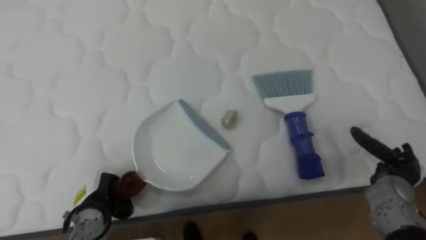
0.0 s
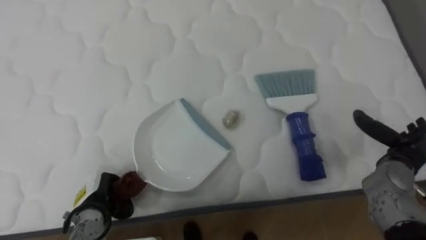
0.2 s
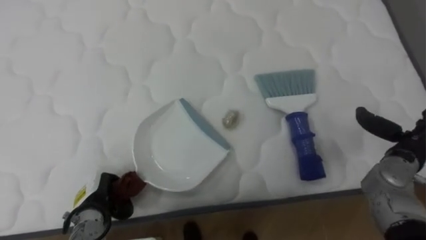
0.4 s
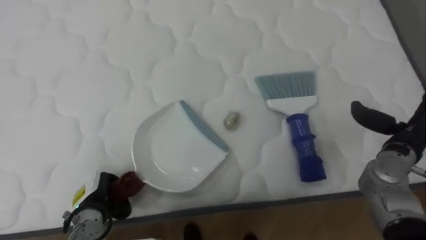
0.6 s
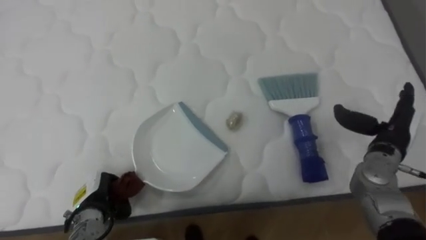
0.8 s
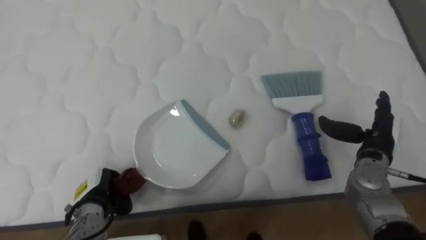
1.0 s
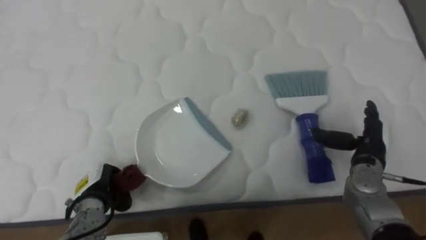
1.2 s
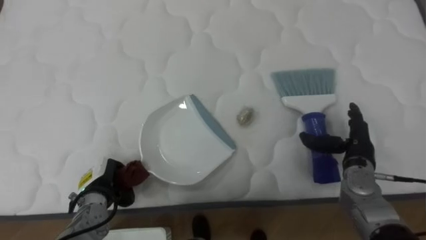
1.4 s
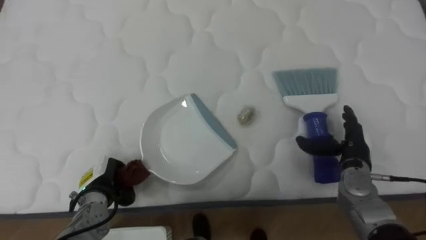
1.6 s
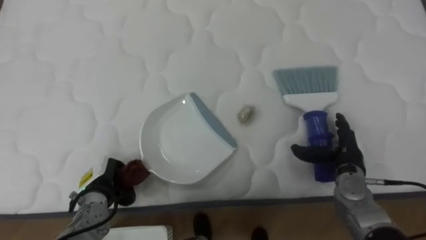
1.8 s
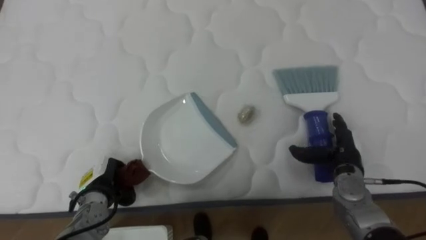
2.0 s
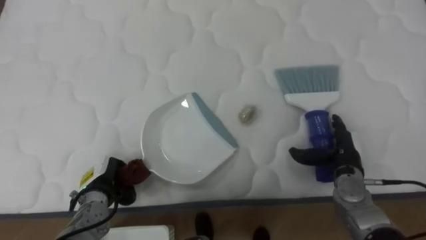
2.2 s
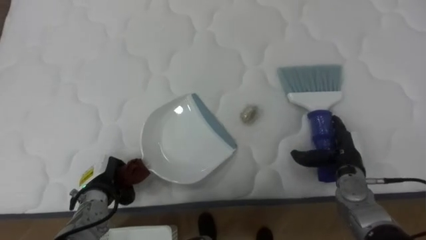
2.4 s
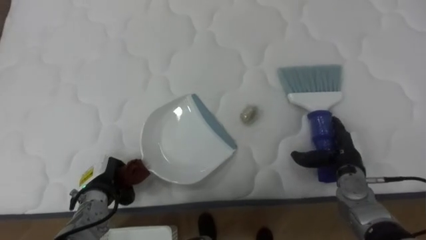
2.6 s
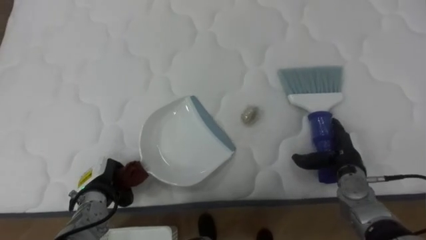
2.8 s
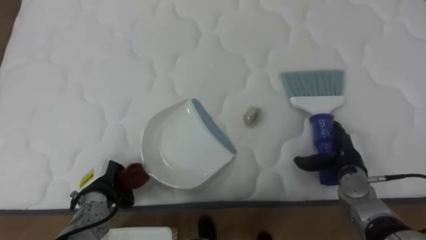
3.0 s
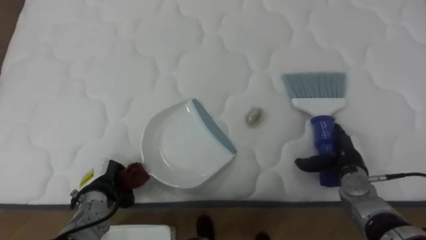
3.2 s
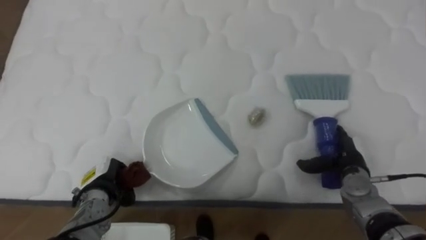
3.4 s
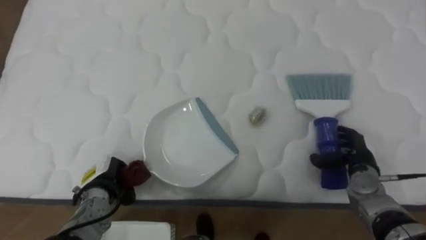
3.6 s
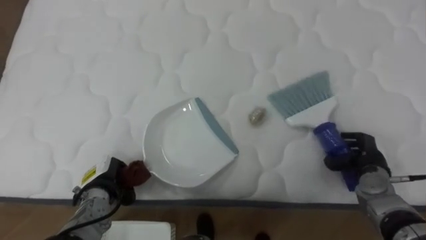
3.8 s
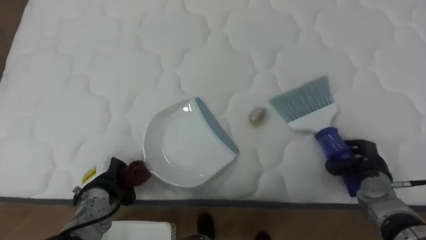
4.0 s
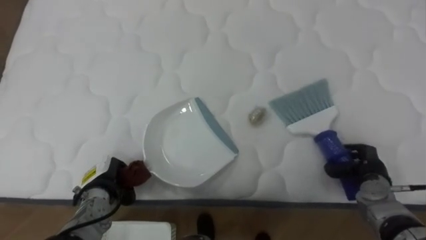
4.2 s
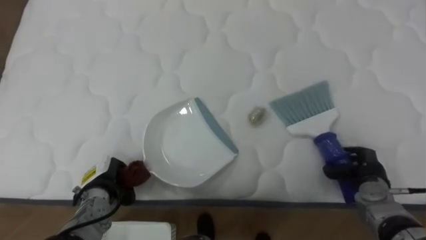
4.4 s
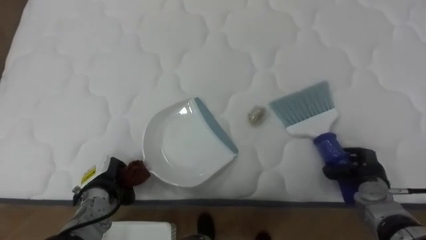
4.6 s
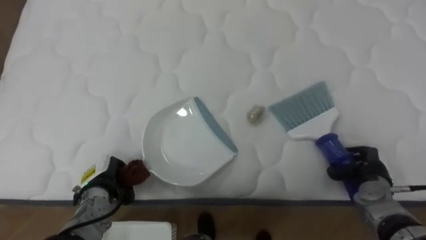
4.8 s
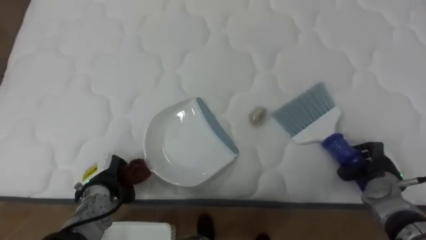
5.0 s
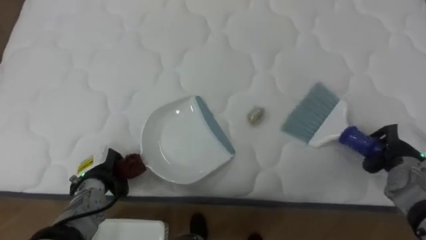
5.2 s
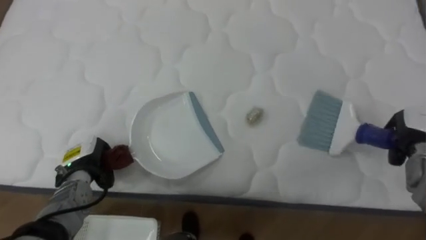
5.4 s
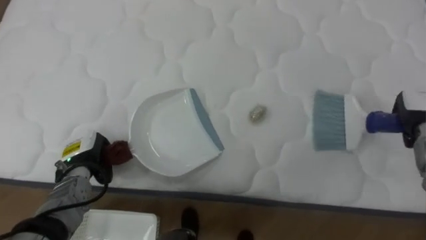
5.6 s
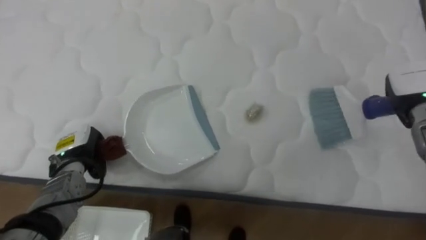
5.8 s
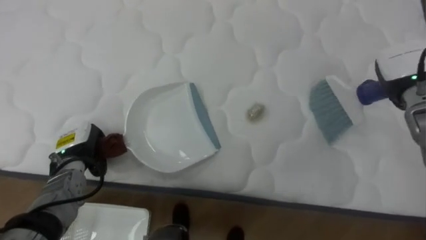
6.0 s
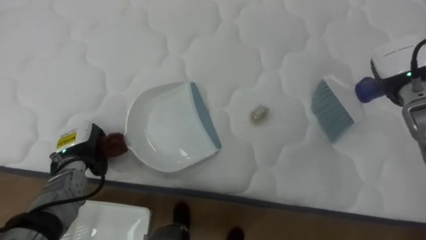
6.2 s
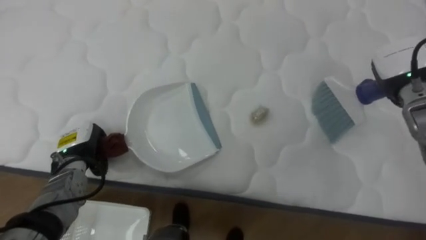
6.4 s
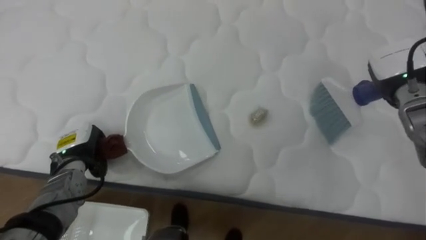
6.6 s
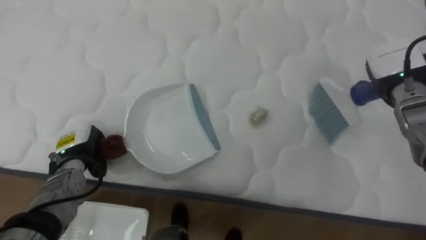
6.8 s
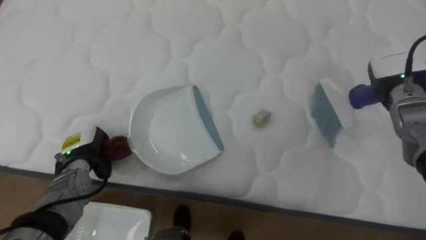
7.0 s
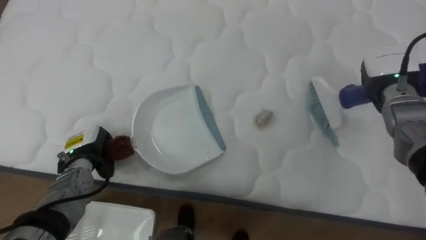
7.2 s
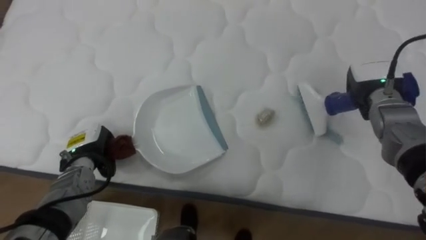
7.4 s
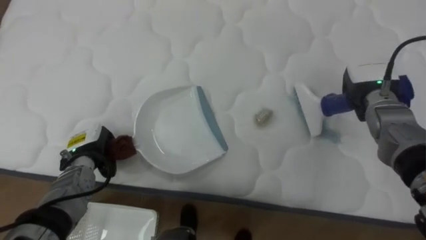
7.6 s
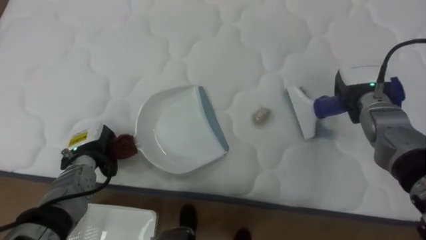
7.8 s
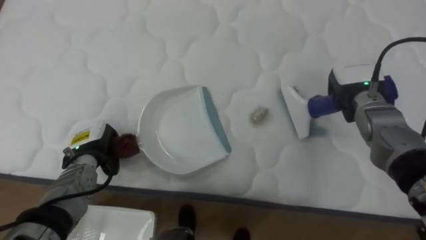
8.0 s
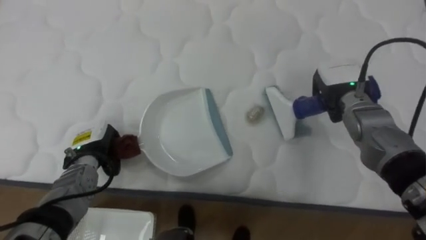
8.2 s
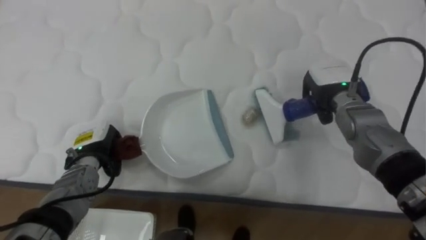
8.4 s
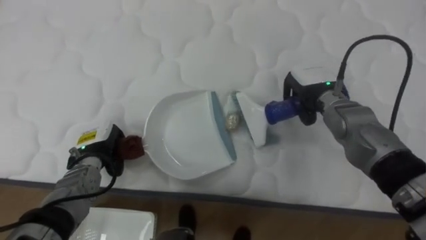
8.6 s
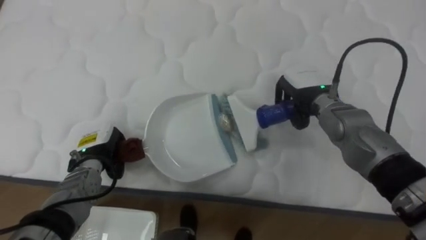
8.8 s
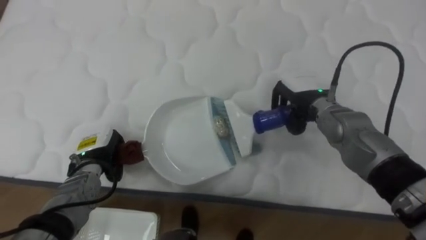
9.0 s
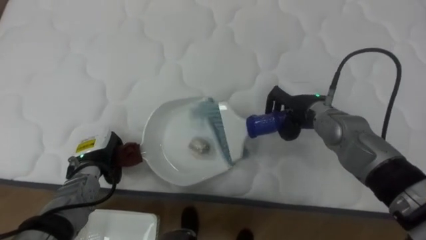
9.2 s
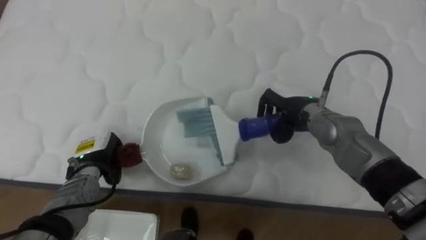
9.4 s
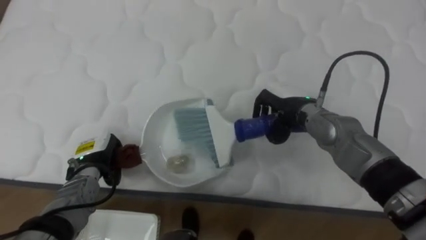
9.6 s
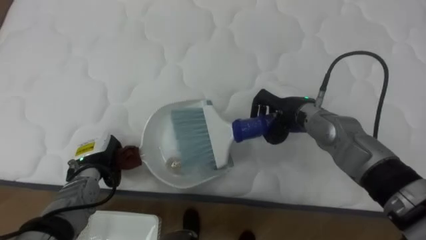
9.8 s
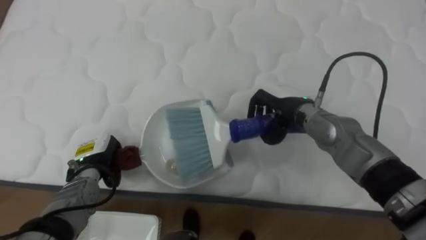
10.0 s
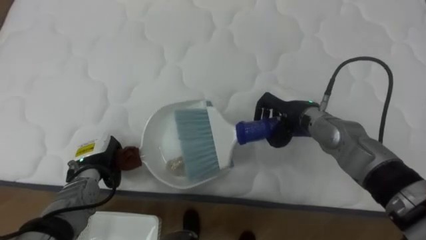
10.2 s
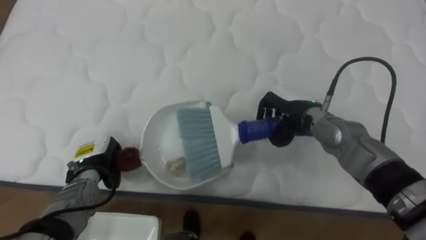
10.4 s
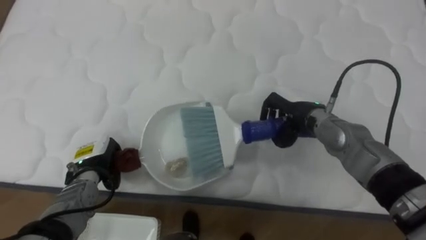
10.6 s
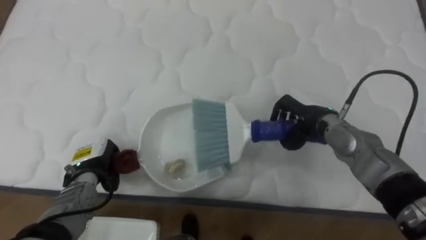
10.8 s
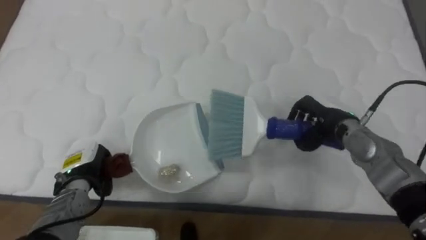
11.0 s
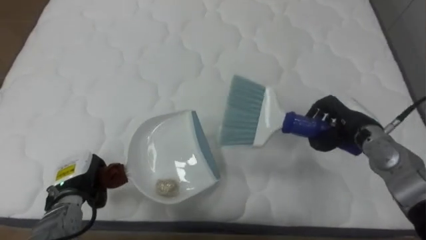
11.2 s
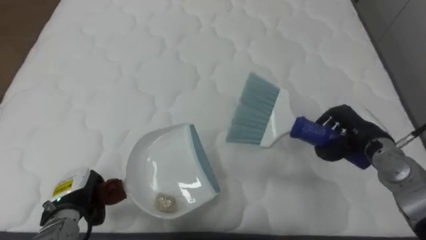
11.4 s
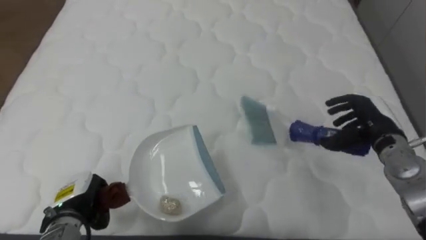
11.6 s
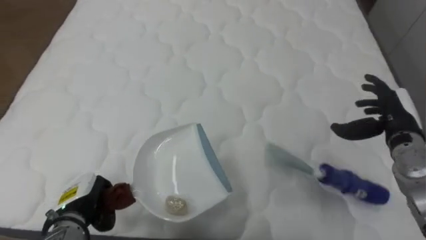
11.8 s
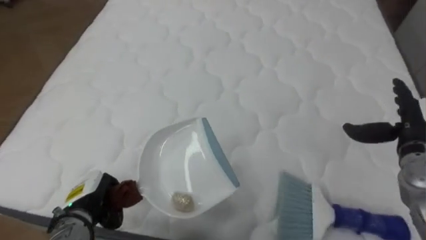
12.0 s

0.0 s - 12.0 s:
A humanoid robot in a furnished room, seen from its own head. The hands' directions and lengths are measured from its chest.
Task of the whole recording: Pick up the brush on your right and the dustpan on your left. Use the brush to sweep the crumpled paper on the bed into the dustpan, then turn left and empty it into the basket.
0.0 s - 1.6 s: The right hand heads to the left, covering roughly 10 cm, and reaches about 10 cm upward, then returns.
3.0 s - 4.4 s: The right hand shifts by approximately 5 cm, and closes its fingers.
4.4 s - 6.0 s: The left hand heads upward, covering roughly 5 cm; the right hand travels upward and forward by approximately 20 cm.
6.0 s - 7.6 s: The right hand shifts by some 5 cm.
7.6 s - 9.0 s: The right hand shifts some 10 cm to the left.
9.0 s - 10.4 s: The hands move only a little.
10.4 s - 12.0 s: The left hand travels backward by approximately 10 cm, while the right hand shifts about 20 cm to the right, and opens up.

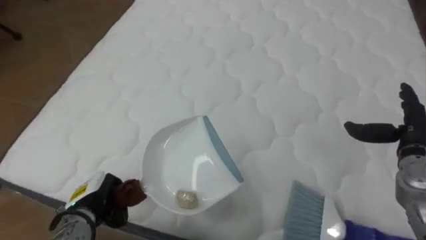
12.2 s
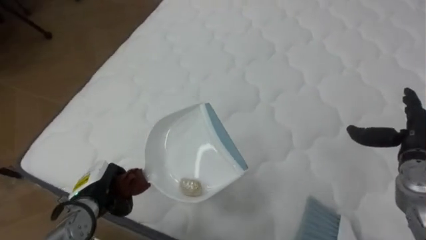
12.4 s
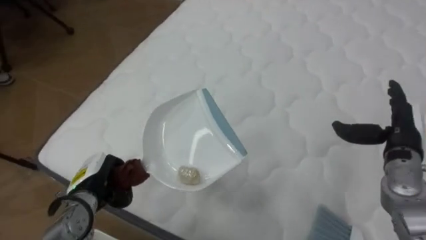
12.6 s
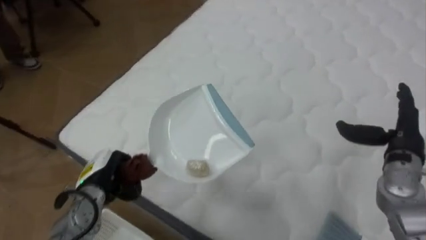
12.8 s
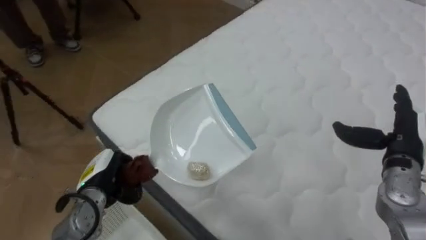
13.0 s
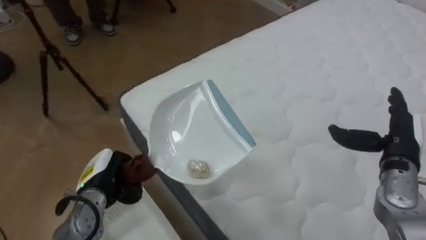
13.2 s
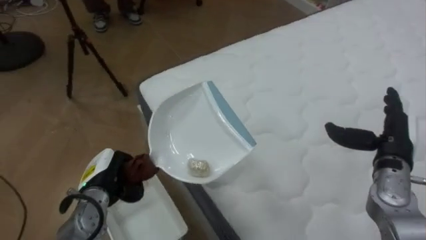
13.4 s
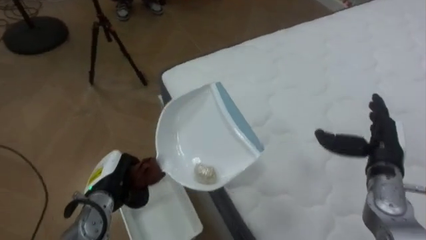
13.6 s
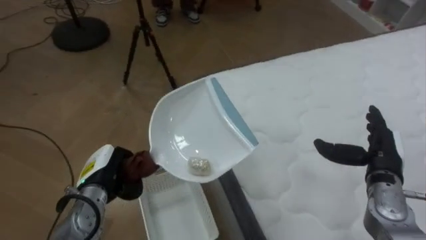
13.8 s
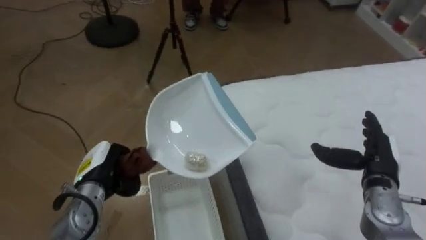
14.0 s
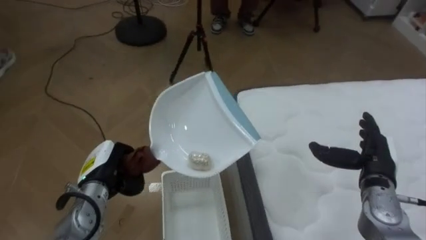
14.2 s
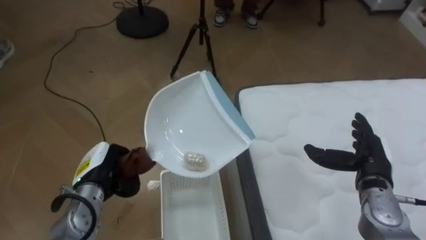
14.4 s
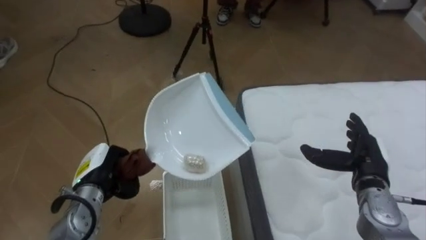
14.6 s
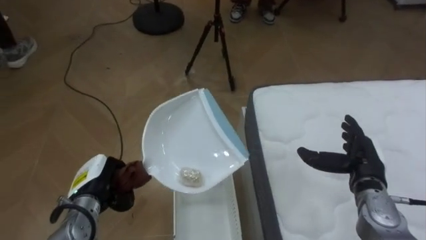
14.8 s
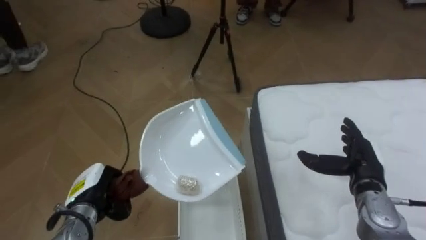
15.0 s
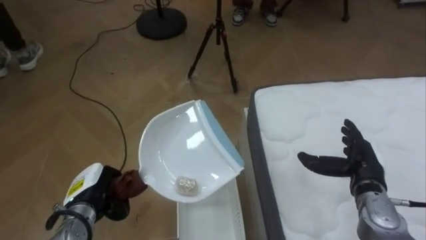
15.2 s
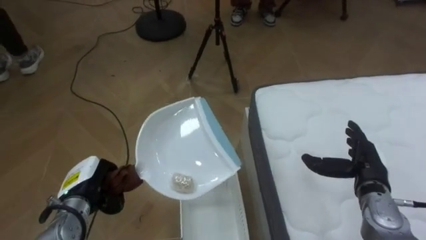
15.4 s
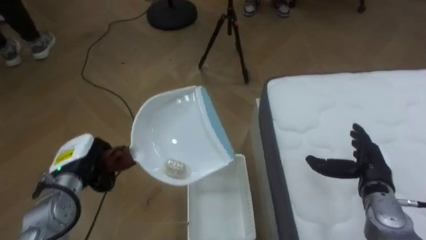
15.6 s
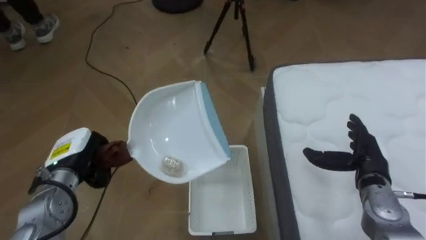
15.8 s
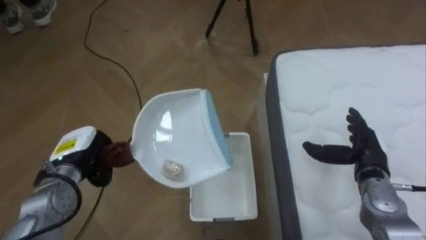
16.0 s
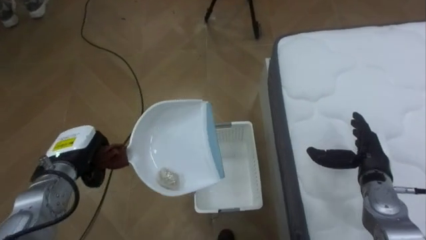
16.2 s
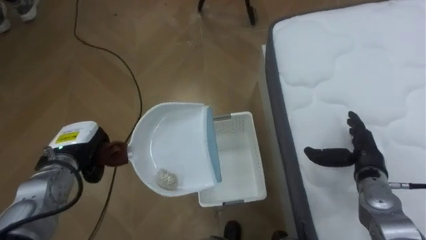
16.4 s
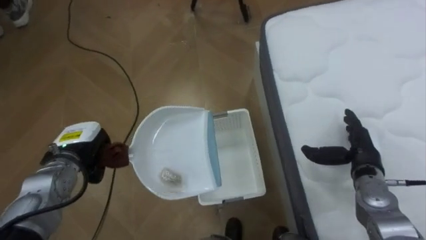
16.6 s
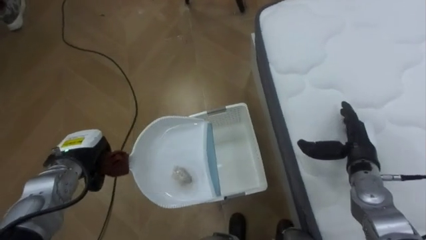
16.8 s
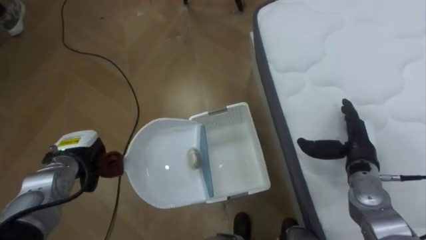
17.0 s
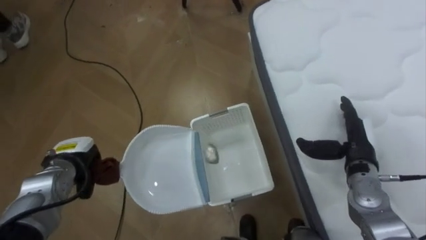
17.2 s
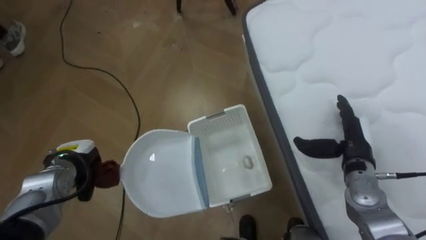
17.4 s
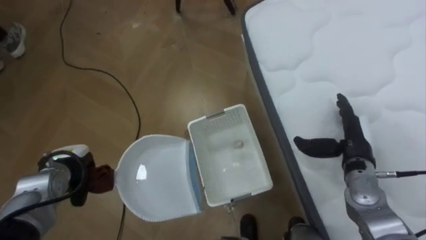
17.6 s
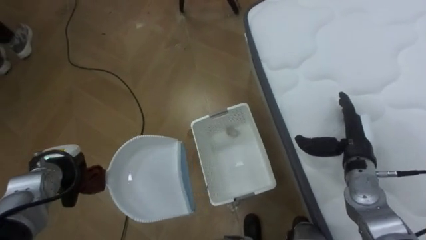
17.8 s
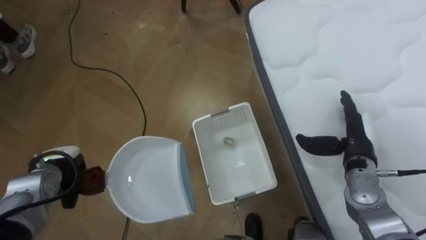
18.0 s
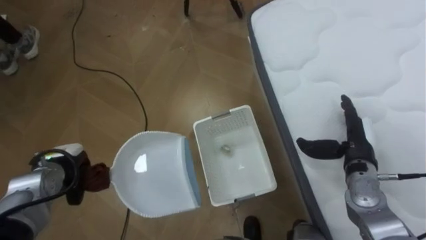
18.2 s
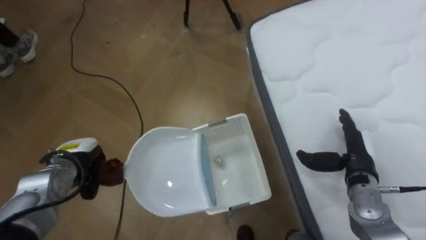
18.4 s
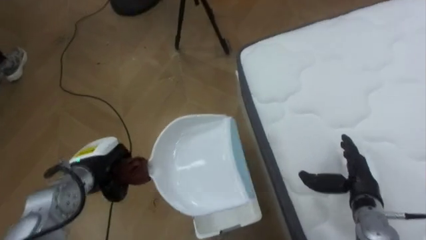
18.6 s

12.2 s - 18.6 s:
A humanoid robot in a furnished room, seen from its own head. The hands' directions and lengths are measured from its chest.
Task of the whole recording: Pick up the brush on your right and the dustpan on your left. Use the brush to sweep the crumpled paper on the bed into the dustpan, then turn left and empty it into the basket.
12.2 s - 13.8 s: The robot faces about 50 degrees further to its left. The right hand is displaced to the left by about 5 cm. Meanwhile the left hand moves about 5 cm.
13.8 s - 15.4 s: The robot faces about 15 degrees further to its left.
15.4 s - 17.0 s: The left hand is displaced forward by about 5 cm.
17.0 s - 18.6 s: The right hand goes some 5 cm backward; the left hand moves some 5 cm.
